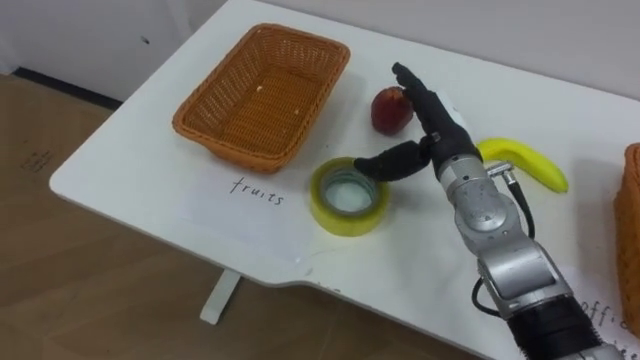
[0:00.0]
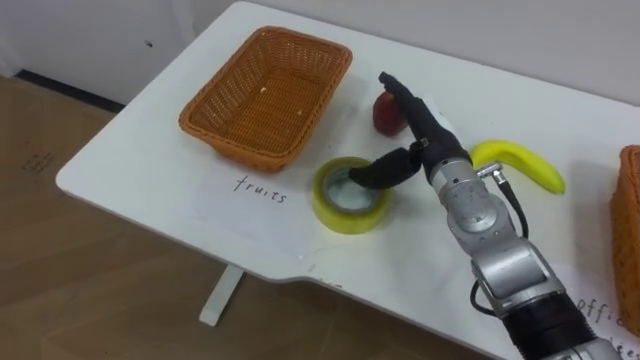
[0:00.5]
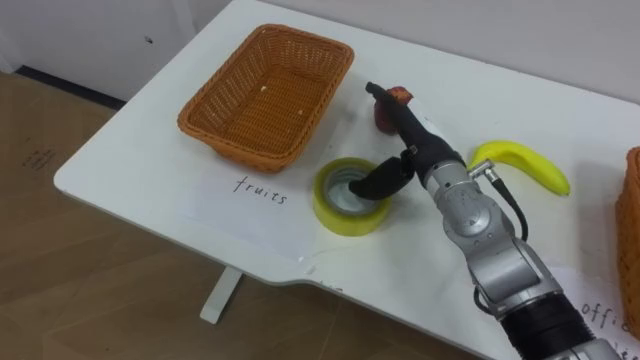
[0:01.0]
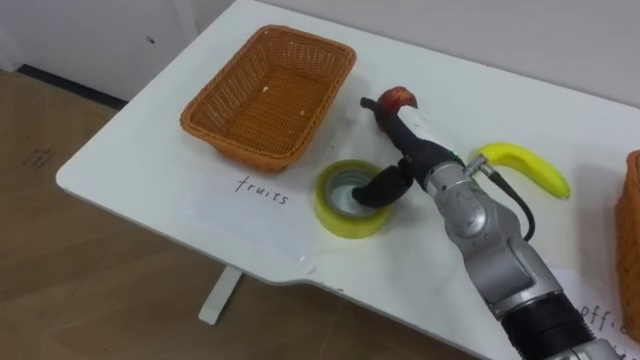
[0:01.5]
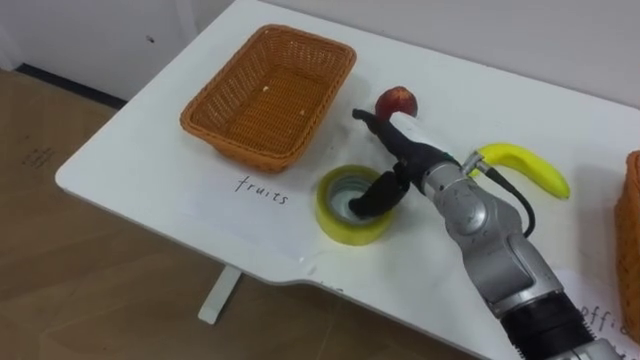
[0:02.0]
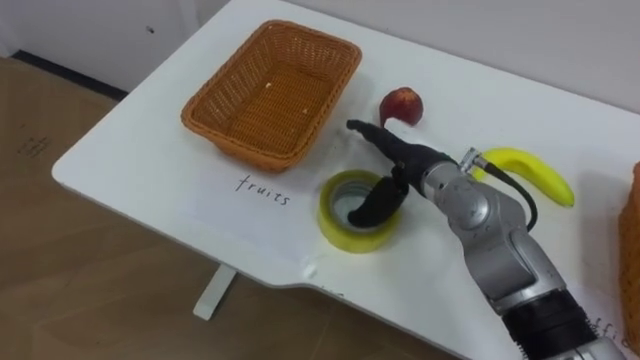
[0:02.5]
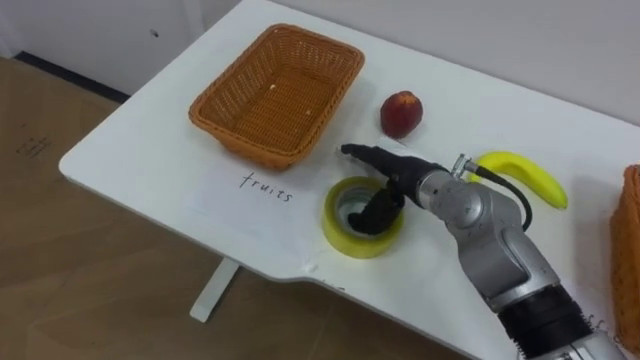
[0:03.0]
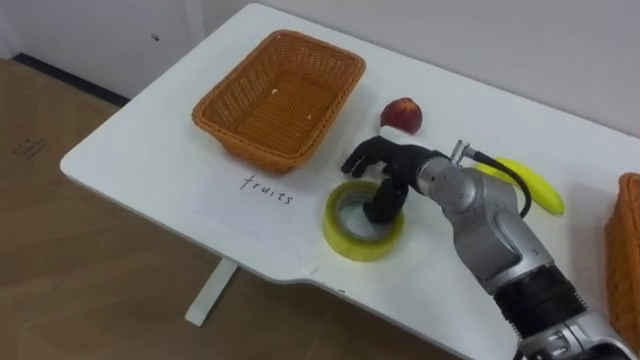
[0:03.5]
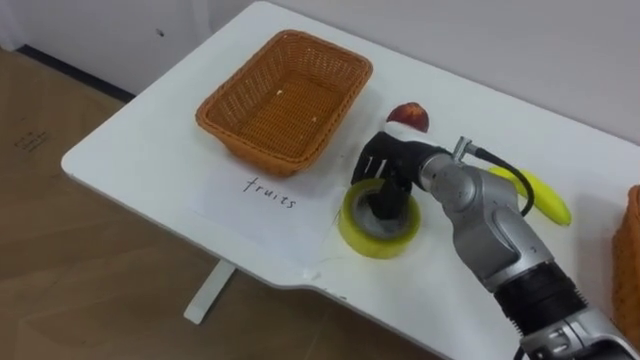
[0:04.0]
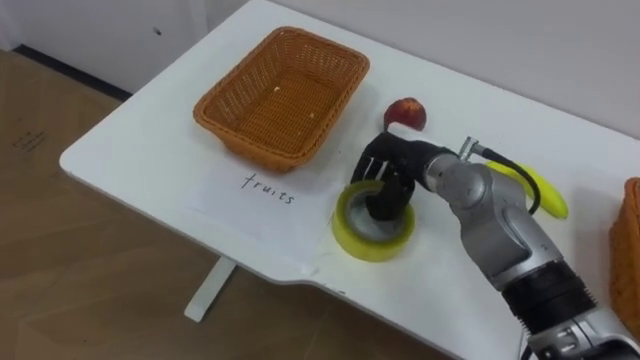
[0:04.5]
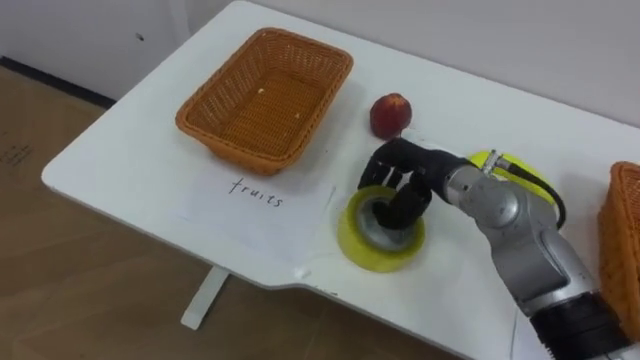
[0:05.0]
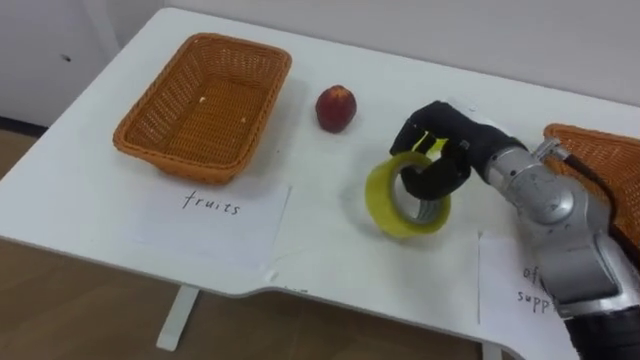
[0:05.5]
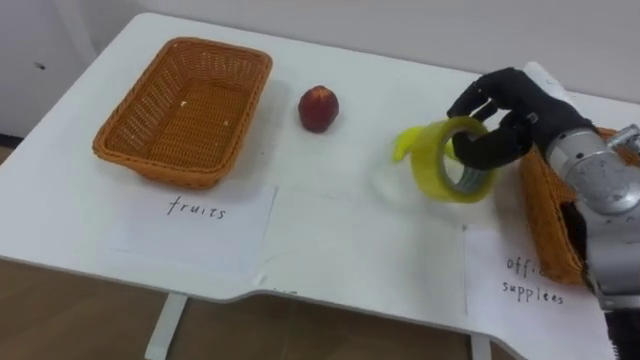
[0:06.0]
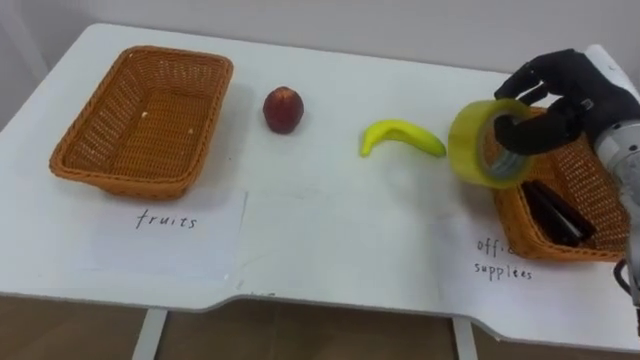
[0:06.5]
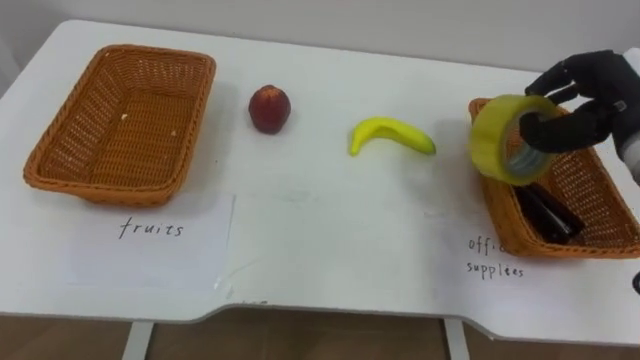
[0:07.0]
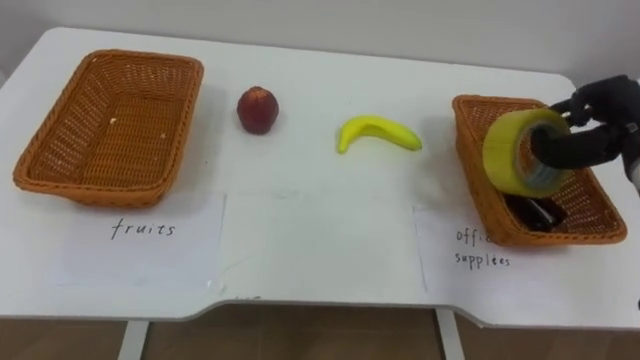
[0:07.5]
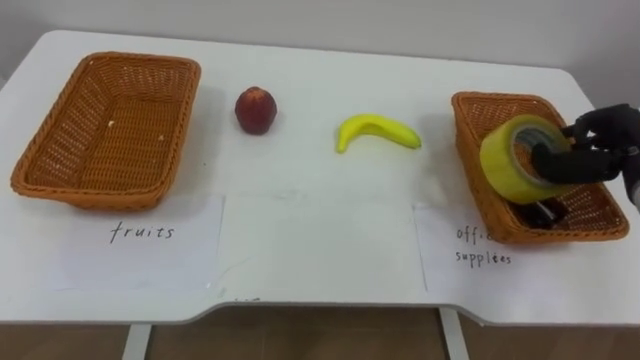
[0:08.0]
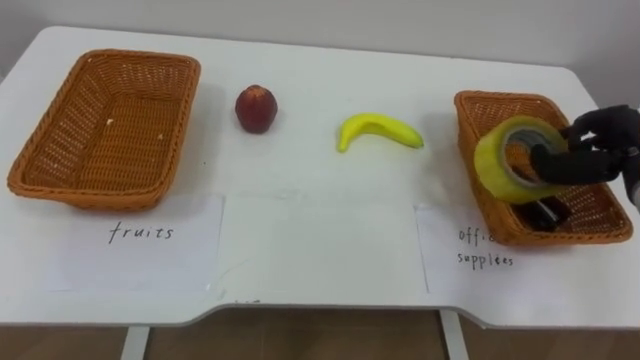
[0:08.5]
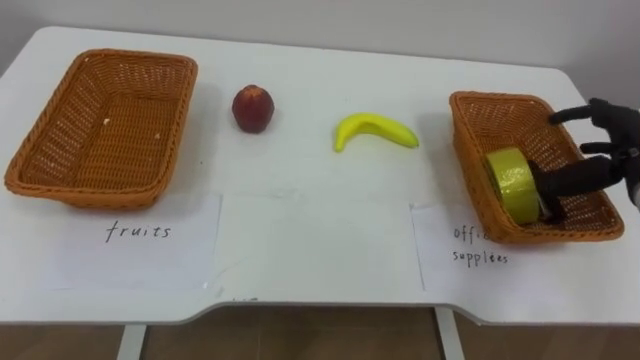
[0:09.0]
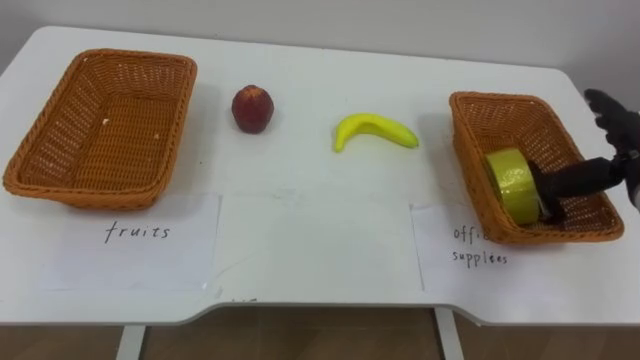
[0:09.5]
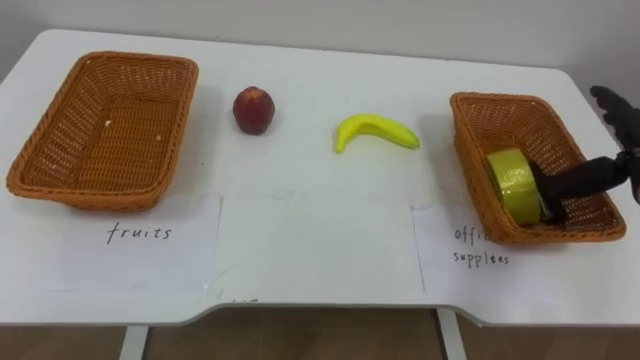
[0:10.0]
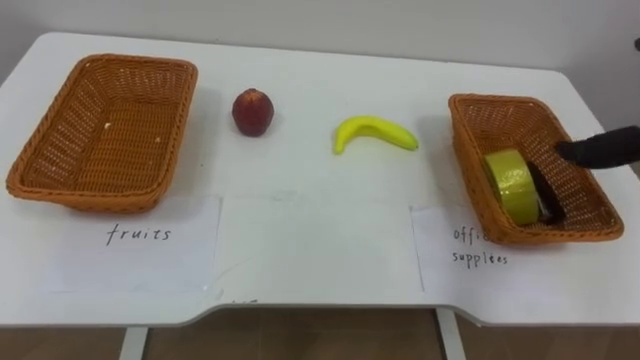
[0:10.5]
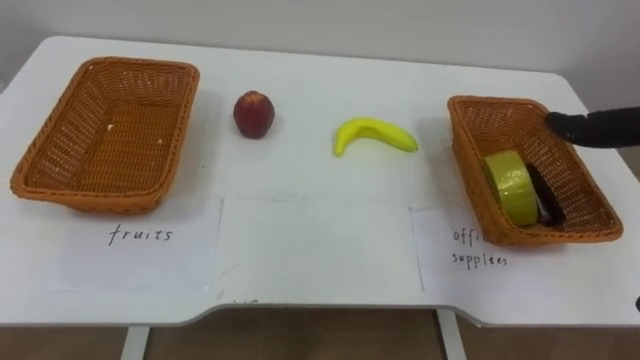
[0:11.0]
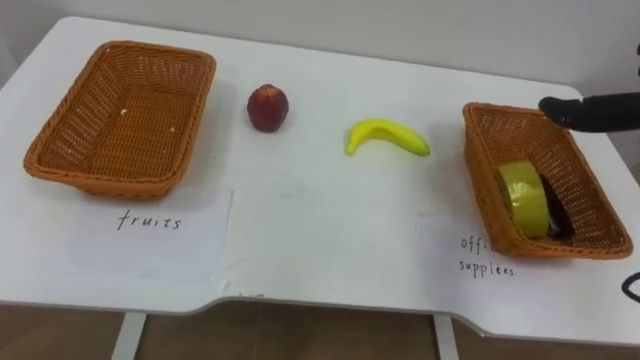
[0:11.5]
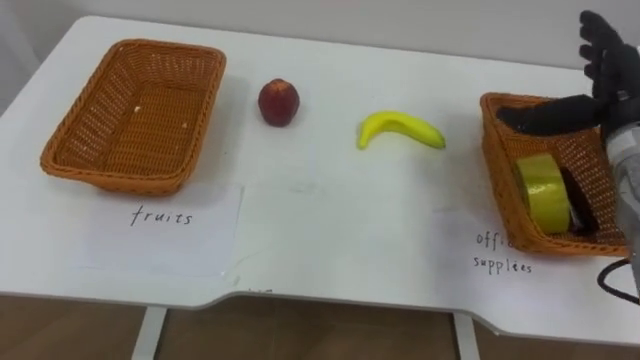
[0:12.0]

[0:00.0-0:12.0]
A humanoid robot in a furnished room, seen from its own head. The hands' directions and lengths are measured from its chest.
Task of the whole recording: Separate the items on the table and place them into the two baskets.
0:02.0 to 0:04.0: The right hand closes its fingers.
0:04.0 to 0:06.0: The right hand shifts about 15 cm to the right and upward.
0:06.0 to 0:08.0: The right hand goes about 10 cm to the right.
0:08.0 to 0:10.0: The right hand opens its fingers.

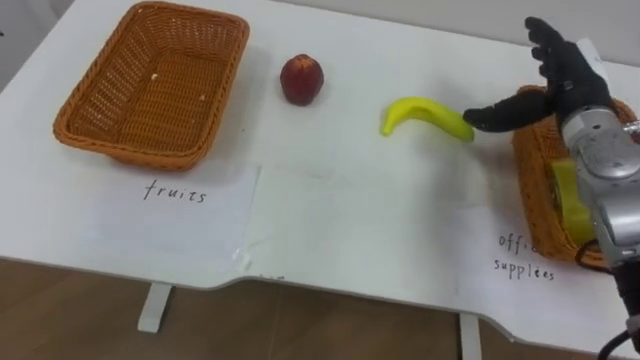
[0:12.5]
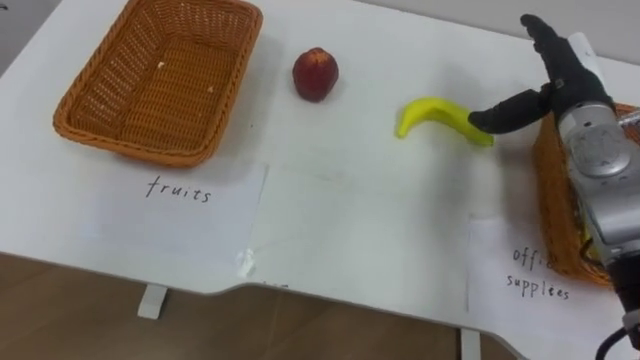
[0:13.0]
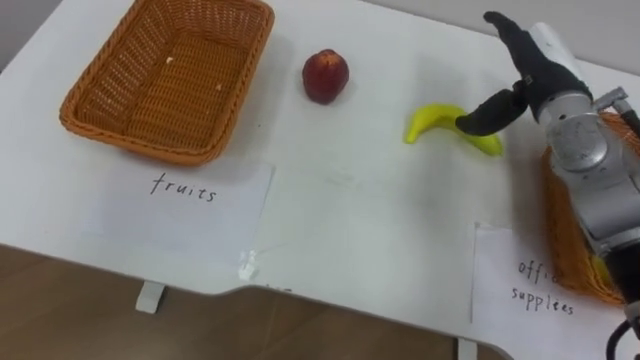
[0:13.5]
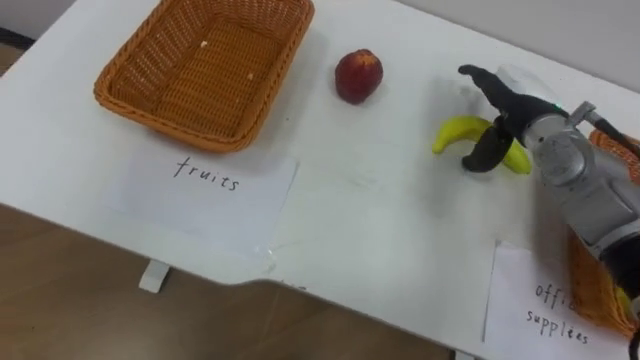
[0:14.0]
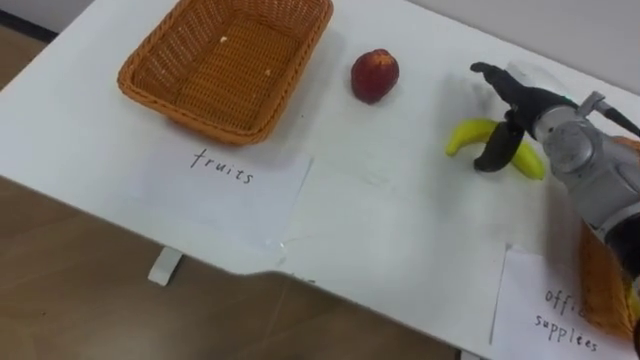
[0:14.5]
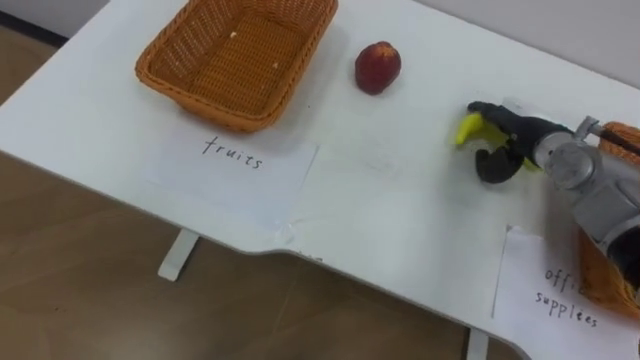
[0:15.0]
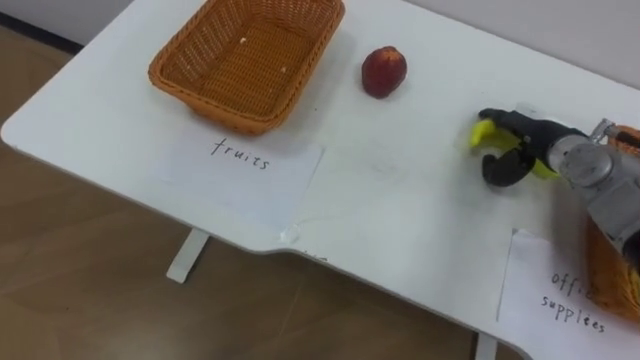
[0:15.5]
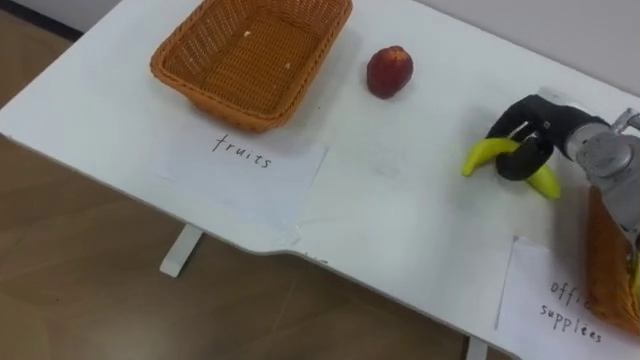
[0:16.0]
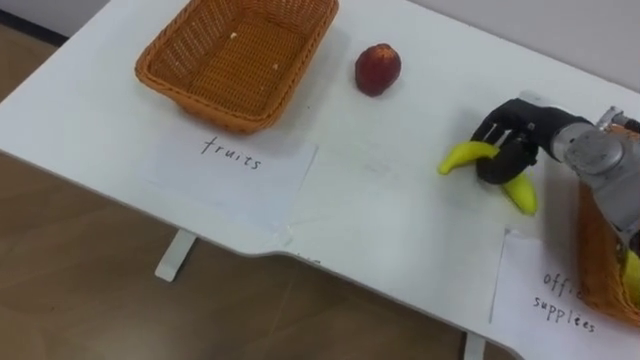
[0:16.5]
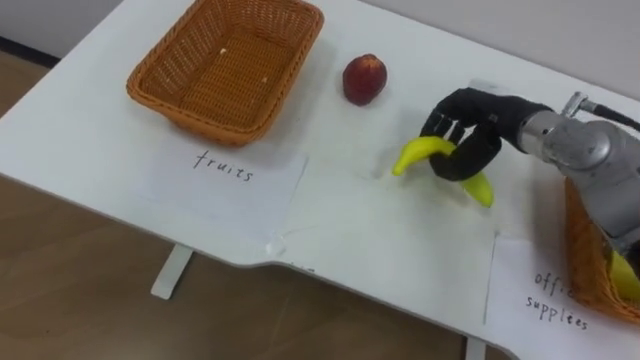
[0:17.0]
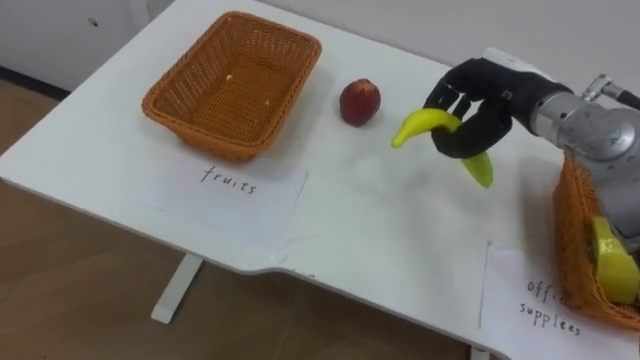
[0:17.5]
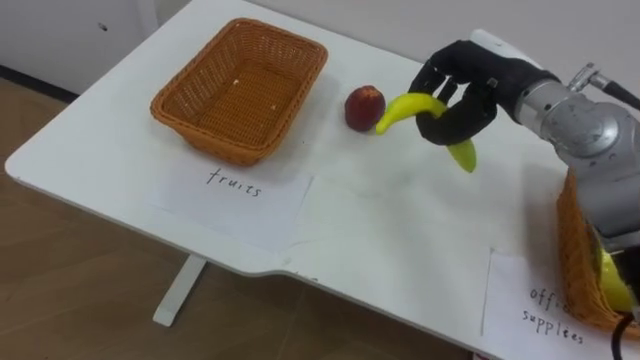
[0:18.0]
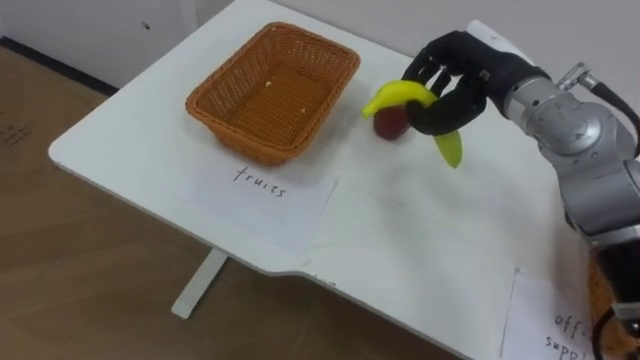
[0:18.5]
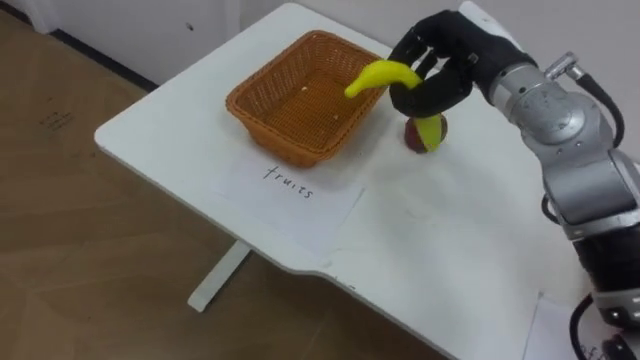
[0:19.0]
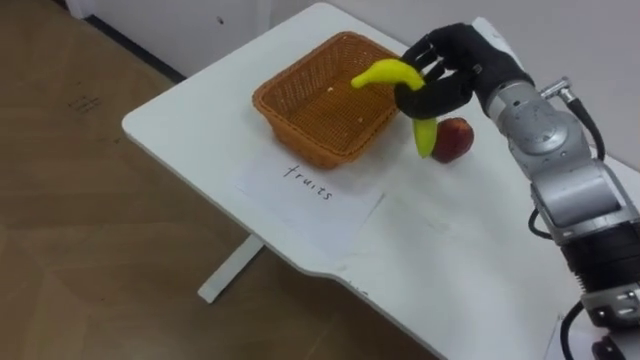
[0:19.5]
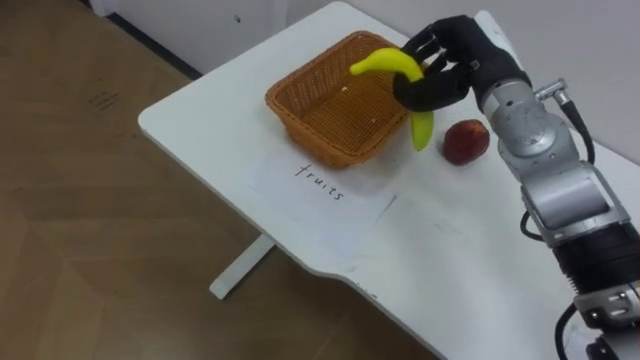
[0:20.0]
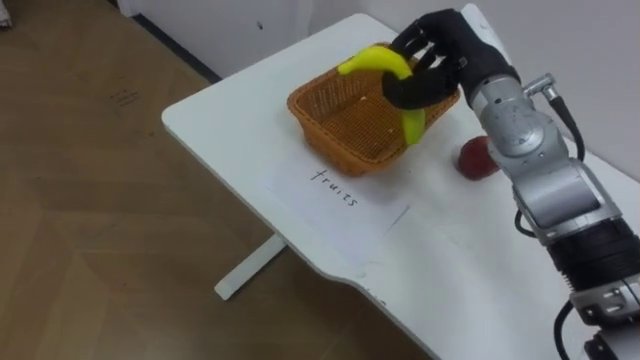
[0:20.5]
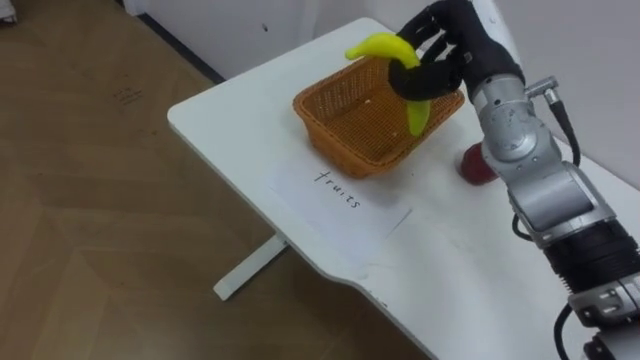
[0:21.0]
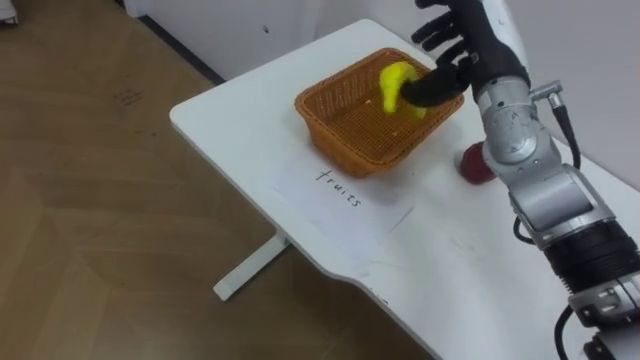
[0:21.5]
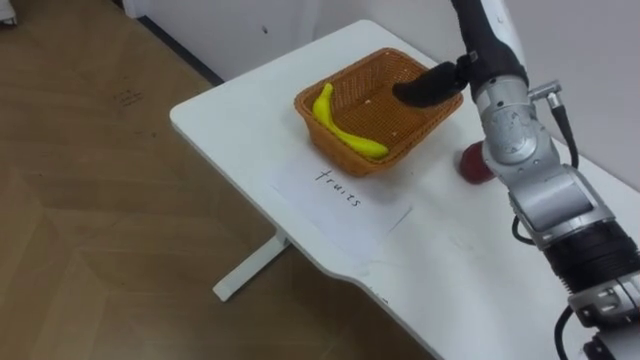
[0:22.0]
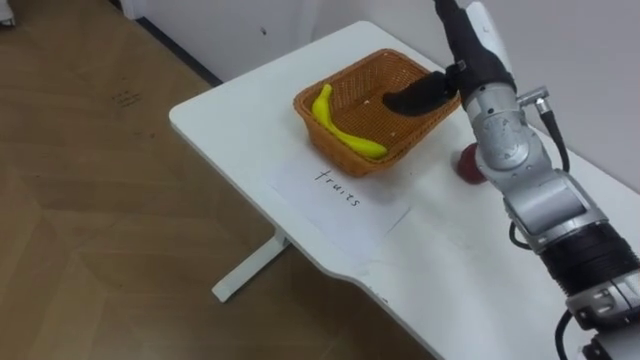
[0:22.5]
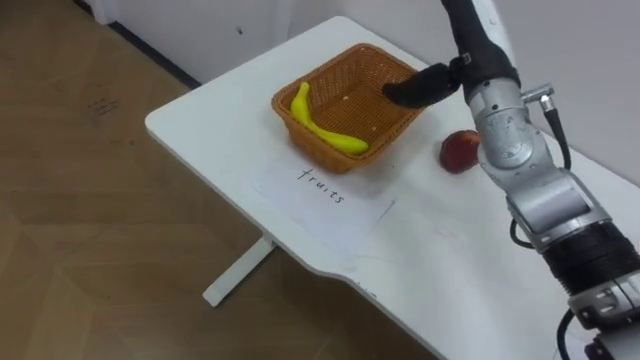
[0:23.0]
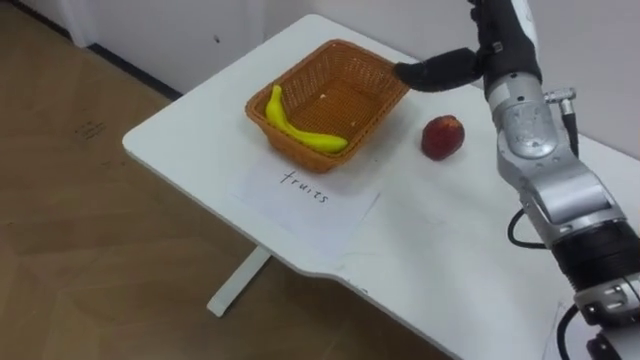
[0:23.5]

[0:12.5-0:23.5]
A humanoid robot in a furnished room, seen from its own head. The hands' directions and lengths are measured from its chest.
Task of the whole recording: Separate the items on the table and place them into the two baskets.
0:12.5 to 0:14.5: The right hand ends up some 5 cm from where it was.
0:14.5 to 0:16.0: The right hand changes place by roughly 5 cm, and closes its fingers.
0:16.0 to 0:18.0: The right hand goes approximately 15 cm to the left and upward.
0:21.5 to 0:23.5: The right hand opens up.
